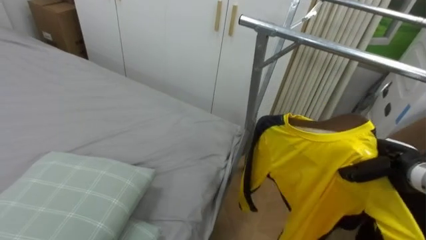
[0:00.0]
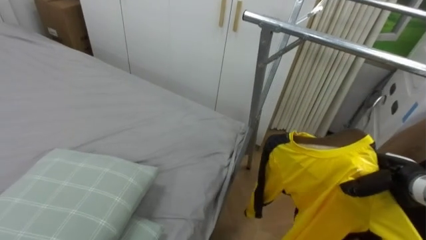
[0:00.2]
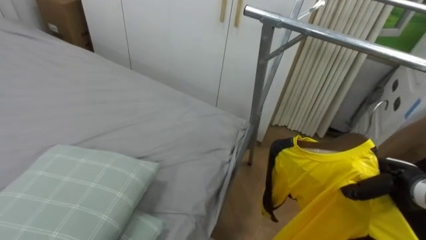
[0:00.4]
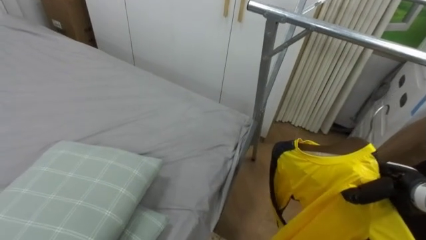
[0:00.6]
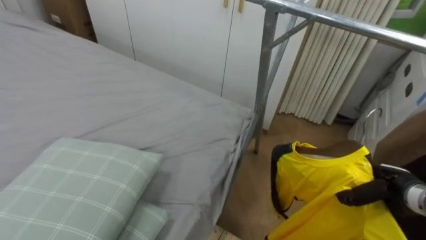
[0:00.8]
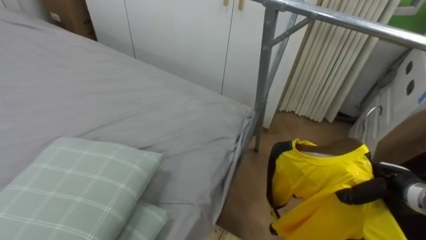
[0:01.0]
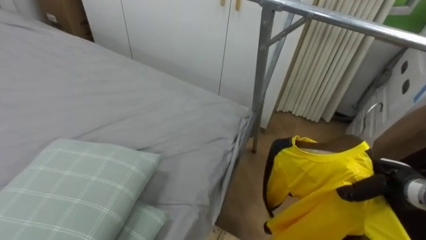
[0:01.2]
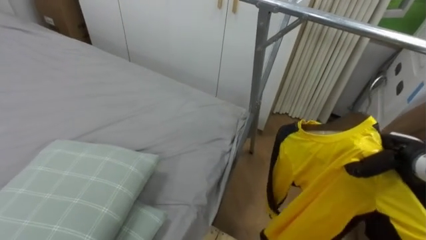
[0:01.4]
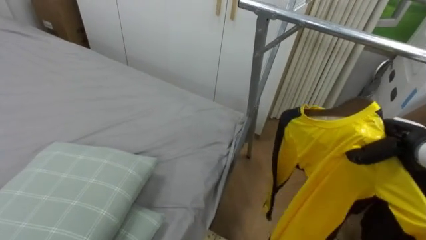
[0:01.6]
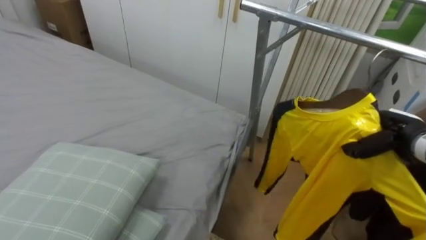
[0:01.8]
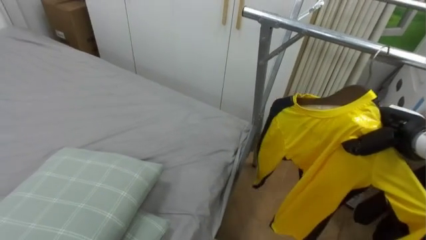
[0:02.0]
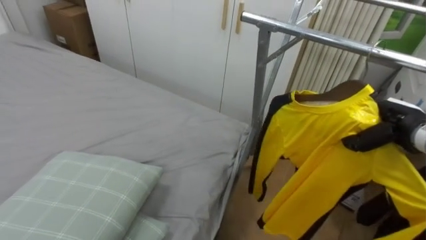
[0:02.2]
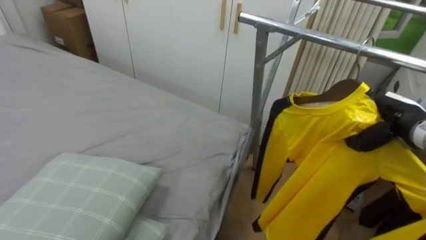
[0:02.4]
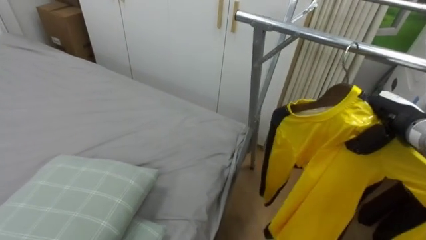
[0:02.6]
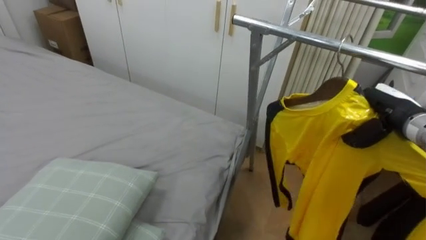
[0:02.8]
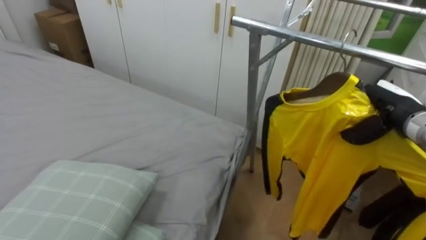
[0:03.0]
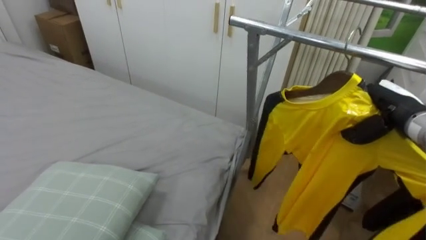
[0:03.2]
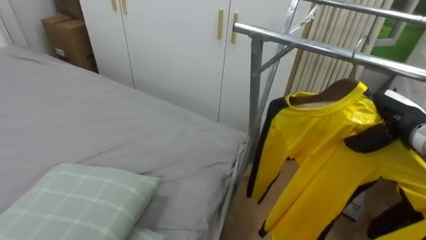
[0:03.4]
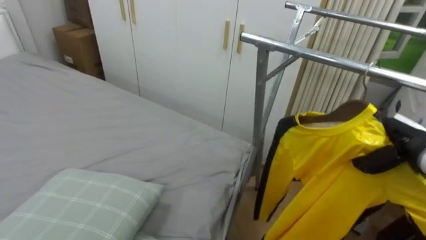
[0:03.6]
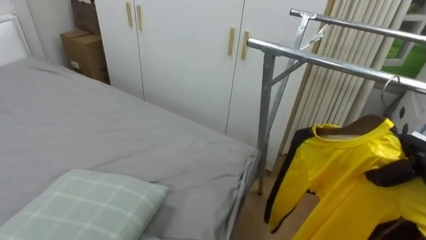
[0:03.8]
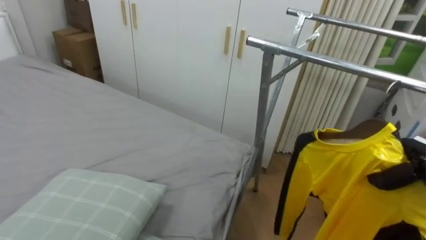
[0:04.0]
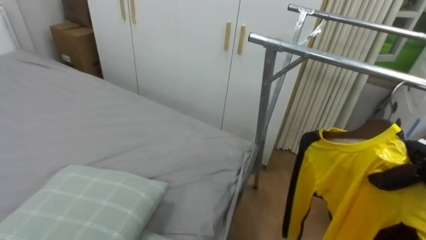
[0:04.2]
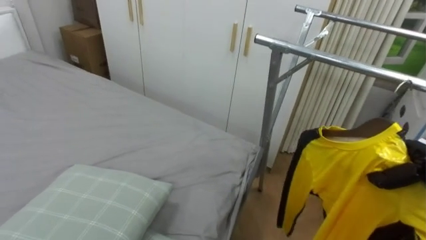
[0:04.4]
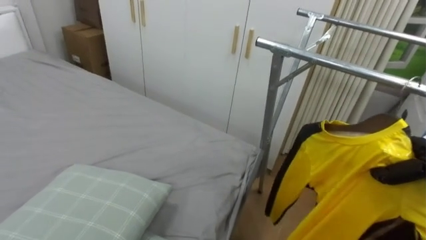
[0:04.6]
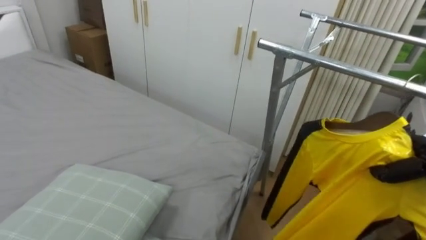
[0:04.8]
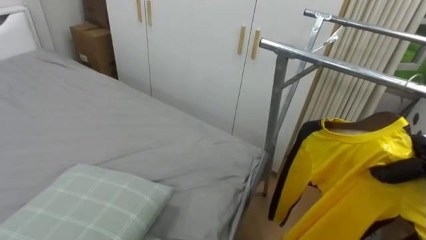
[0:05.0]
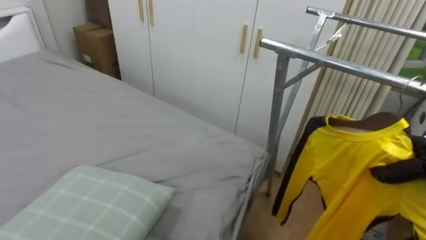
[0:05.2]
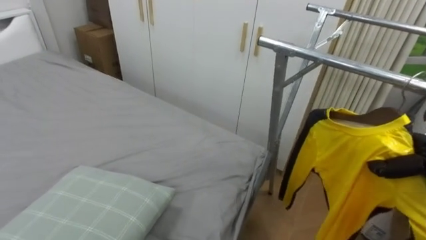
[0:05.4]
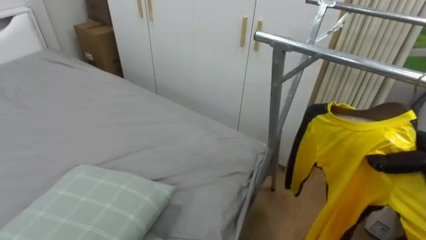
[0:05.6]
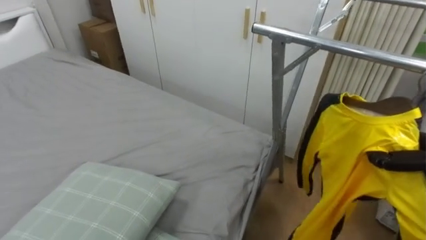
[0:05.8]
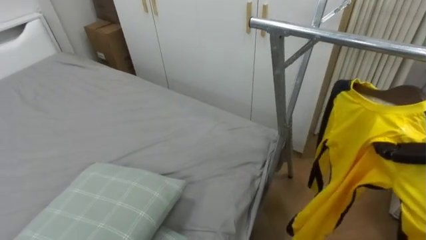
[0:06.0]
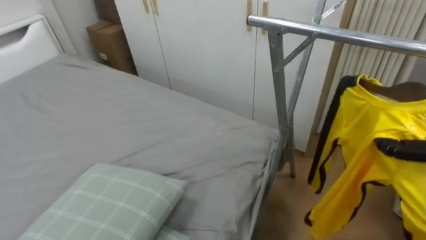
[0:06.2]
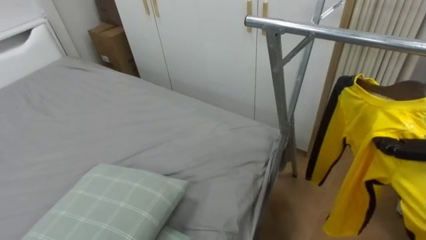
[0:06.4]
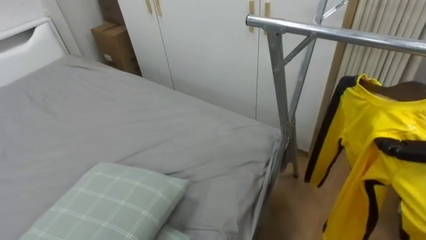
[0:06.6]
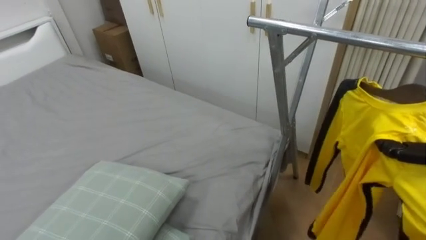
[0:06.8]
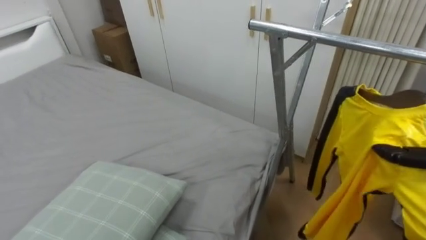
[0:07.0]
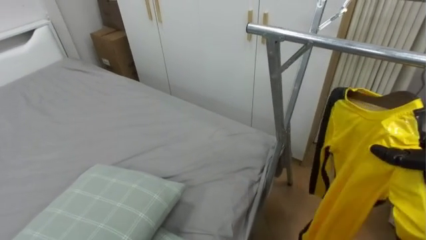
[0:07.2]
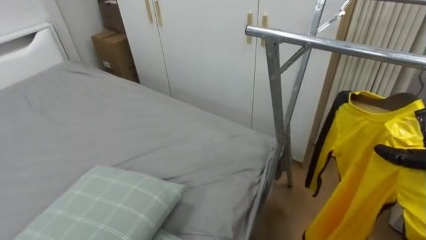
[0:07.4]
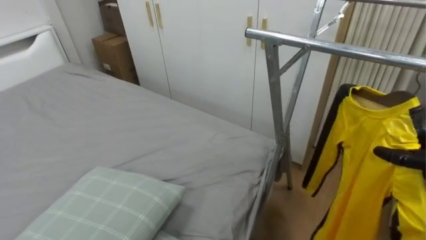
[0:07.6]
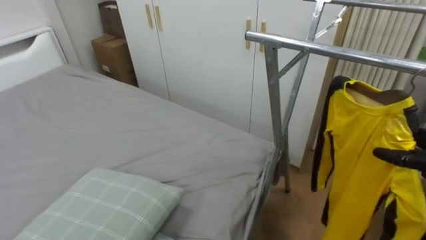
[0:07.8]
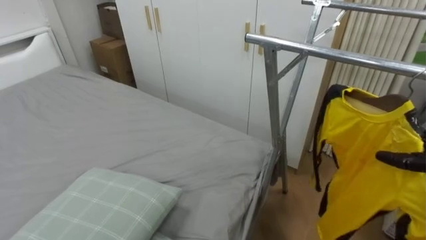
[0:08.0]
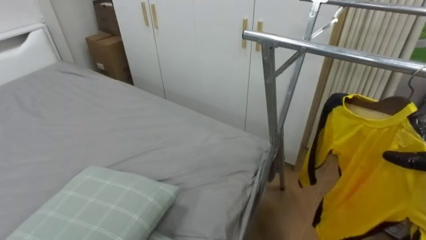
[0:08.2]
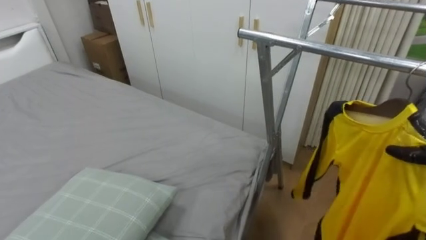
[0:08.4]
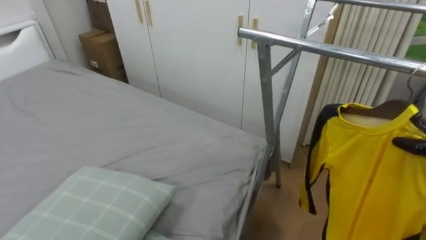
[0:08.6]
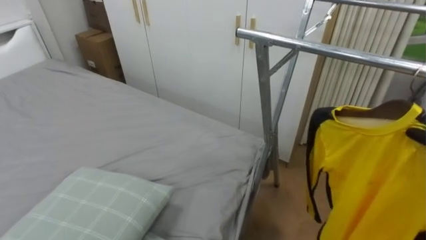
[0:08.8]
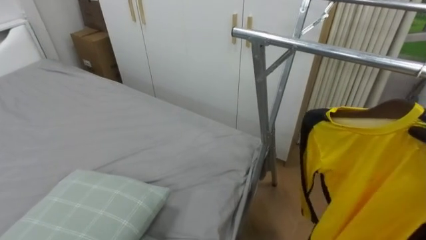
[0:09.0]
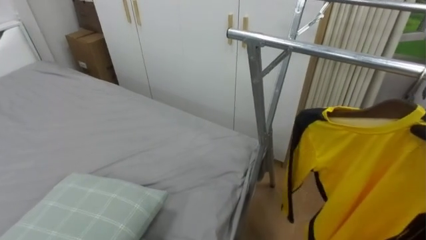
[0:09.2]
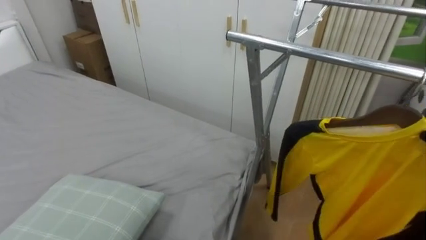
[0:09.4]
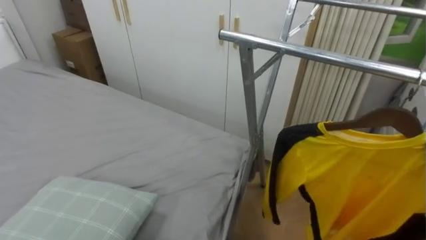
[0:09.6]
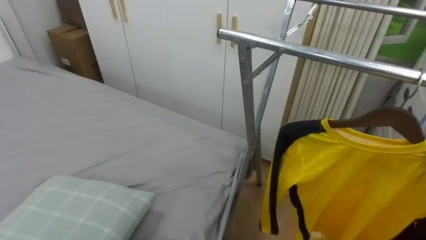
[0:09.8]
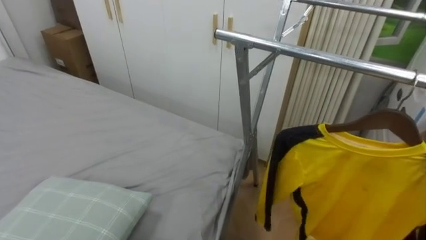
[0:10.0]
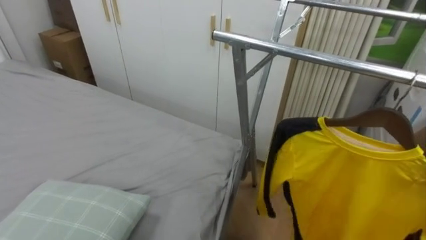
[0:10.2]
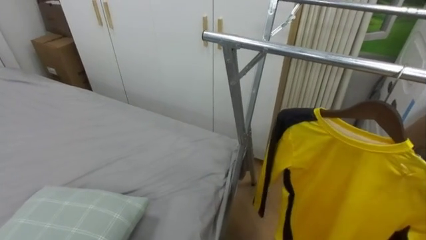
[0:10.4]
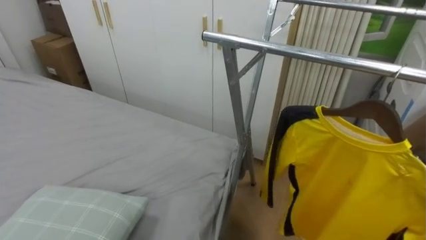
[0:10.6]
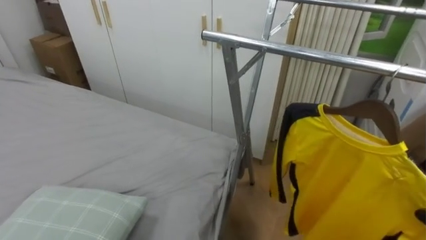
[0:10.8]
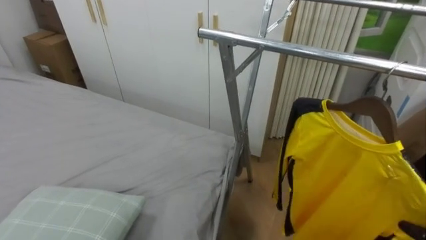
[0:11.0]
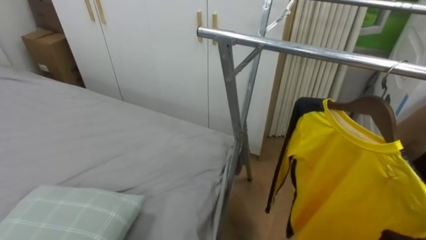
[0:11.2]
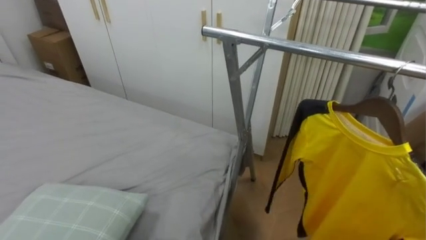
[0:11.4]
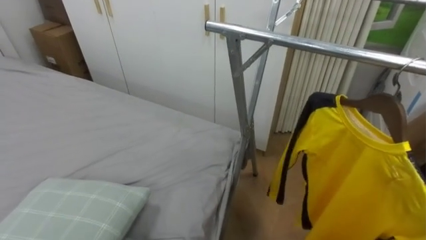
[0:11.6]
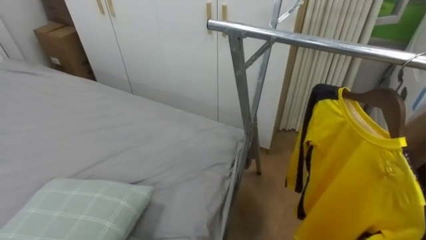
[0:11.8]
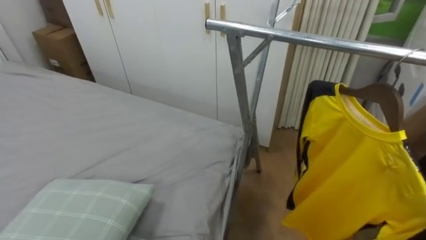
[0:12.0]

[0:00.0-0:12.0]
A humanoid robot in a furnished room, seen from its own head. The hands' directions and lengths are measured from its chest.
Task of the whole recording: Pick up the yellow shirt on the bed and hang it on the clothes rack on the right.
0:01.6 to 0:03.0: The right hand is displaced upward by about 5 cm.
0:03.0 to 0:04.4: The right hand is displaced downward, to the right and backward by some 15 cm.

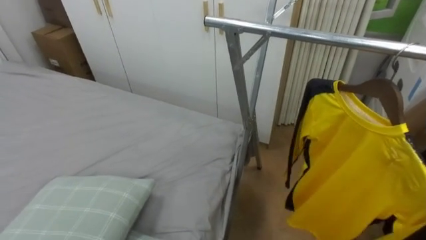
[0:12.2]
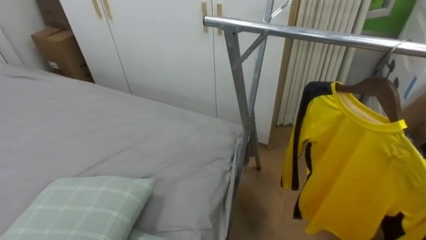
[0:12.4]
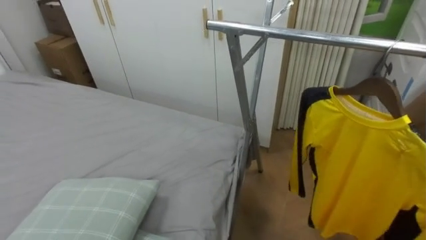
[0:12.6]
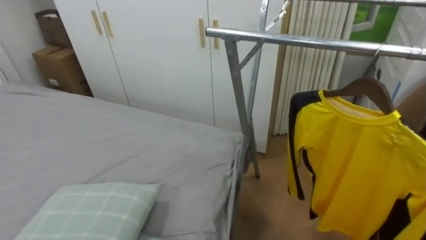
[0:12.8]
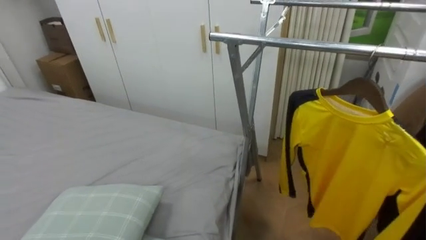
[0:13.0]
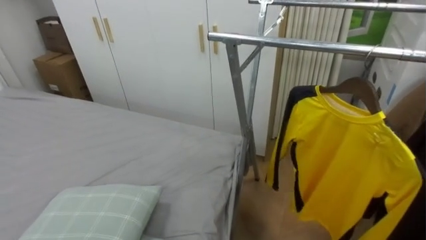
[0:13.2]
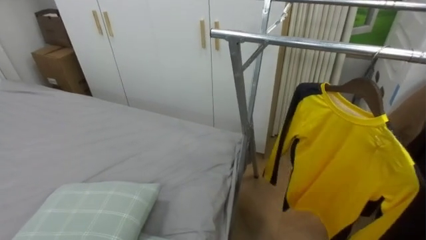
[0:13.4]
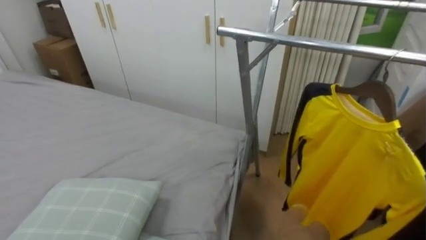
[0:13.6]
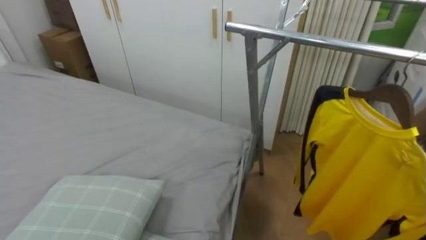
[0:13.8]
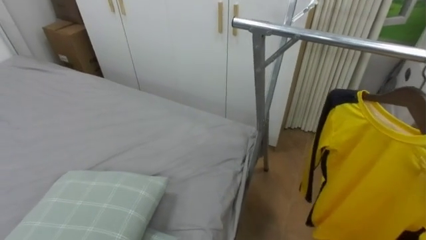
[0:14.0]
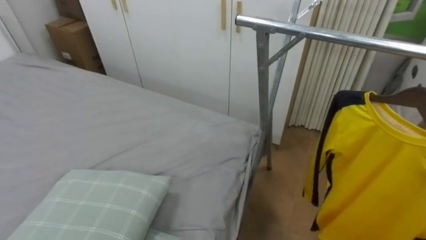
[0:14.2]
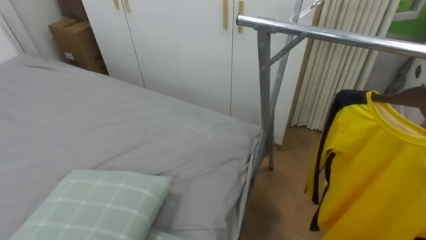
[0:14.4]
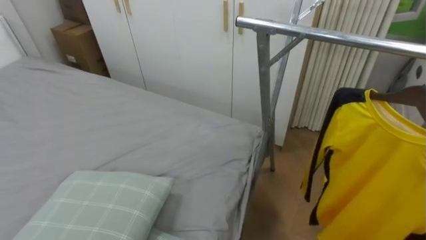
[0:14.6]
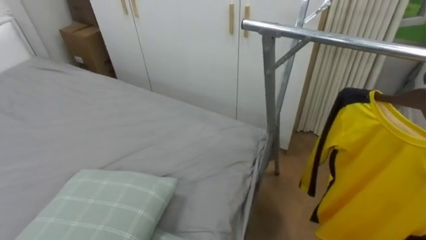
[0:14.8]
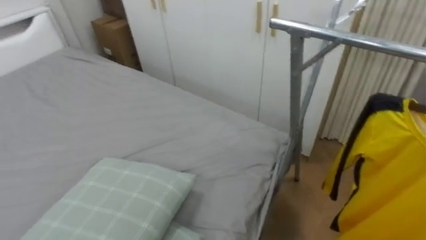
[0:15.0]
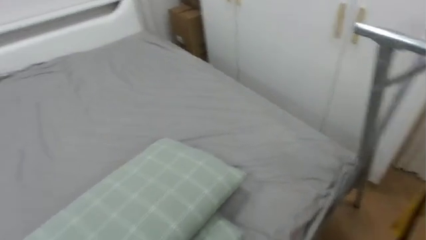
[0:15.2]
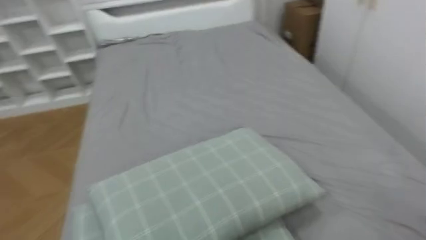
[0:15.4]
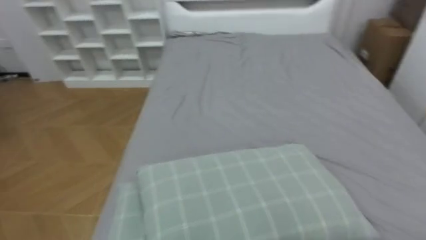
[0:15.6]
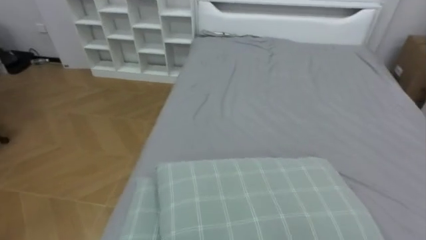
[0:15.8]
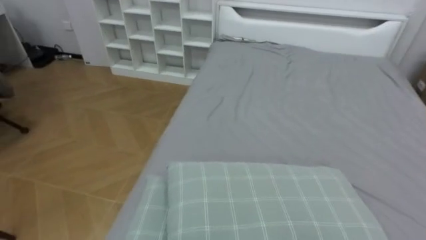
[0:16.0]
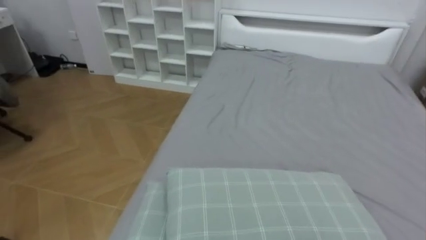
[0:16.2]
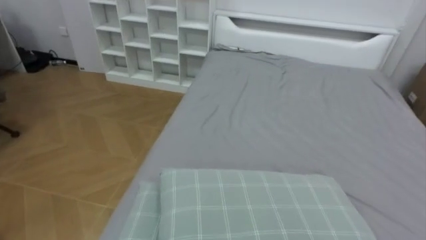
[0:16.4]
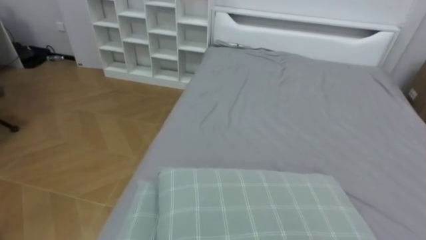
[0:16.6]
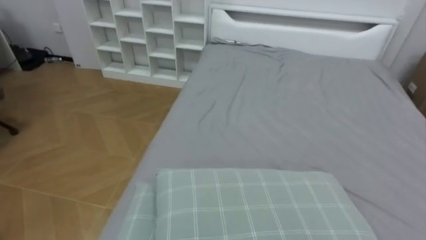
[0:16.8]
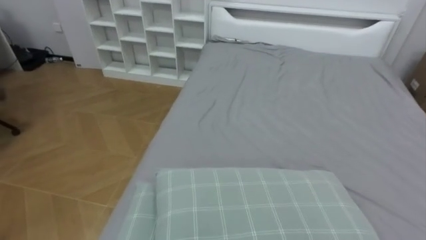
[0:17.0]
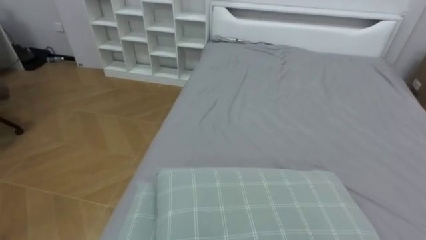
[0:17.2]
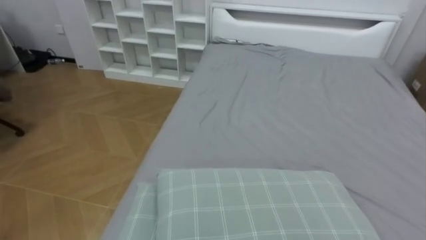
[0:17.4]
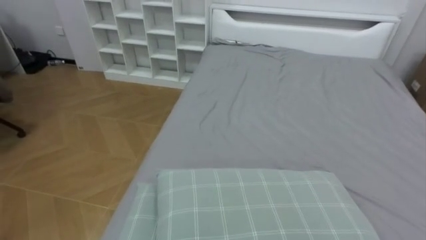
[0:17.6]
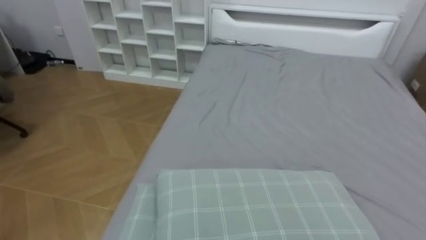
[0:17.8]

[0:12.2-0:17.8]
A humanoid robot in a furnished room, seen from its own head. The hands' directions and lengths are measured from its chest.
Task of the whole recording: Pick up the yellow shirt on the bed and hang it on the clothes rack on the right.
0:15.0 to 0:16.4: The robot rotates some 65 degrees to its left.
